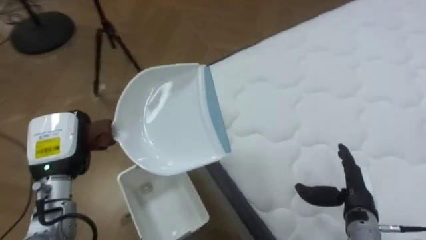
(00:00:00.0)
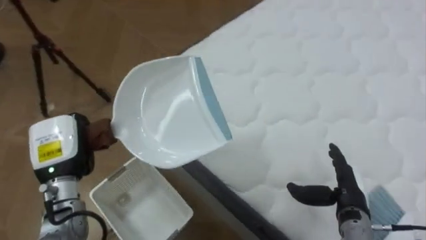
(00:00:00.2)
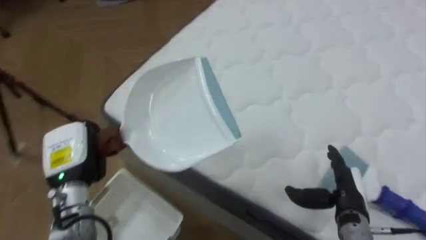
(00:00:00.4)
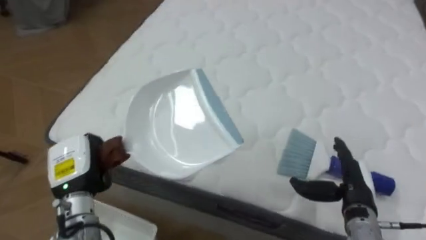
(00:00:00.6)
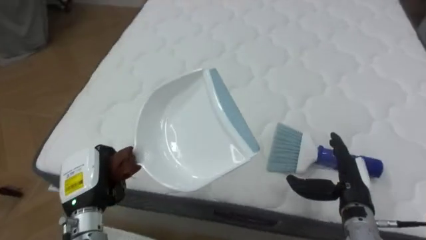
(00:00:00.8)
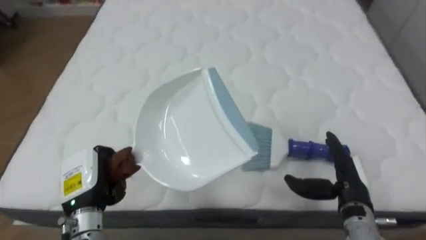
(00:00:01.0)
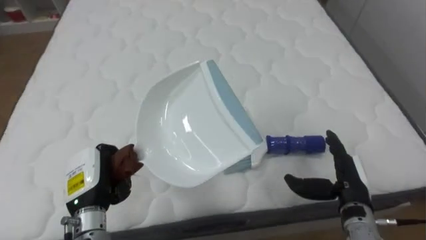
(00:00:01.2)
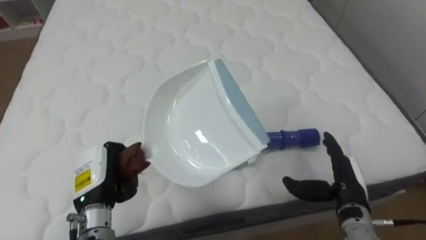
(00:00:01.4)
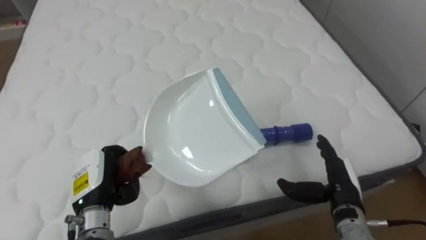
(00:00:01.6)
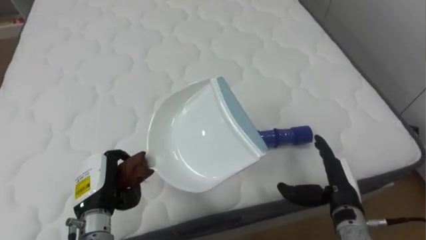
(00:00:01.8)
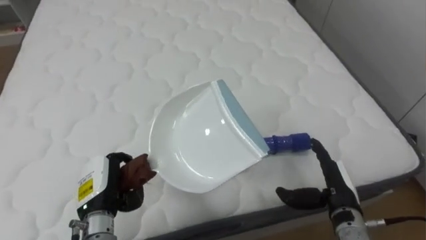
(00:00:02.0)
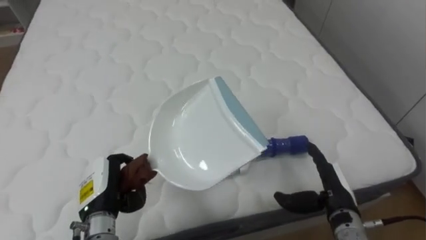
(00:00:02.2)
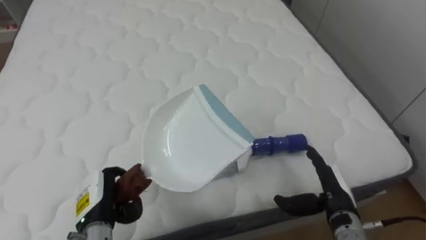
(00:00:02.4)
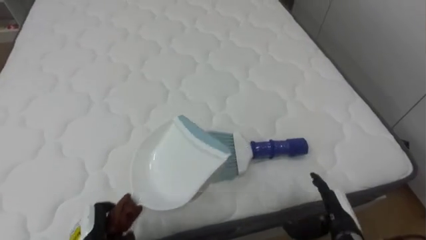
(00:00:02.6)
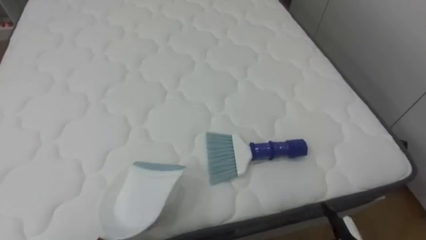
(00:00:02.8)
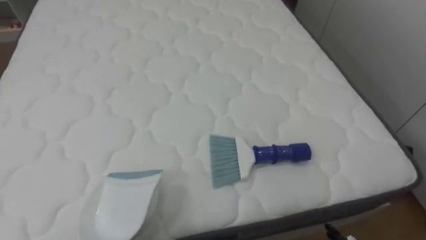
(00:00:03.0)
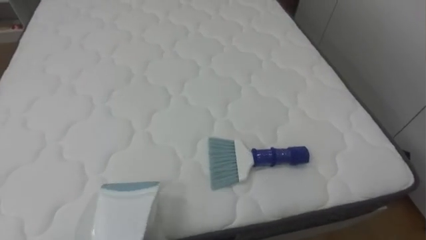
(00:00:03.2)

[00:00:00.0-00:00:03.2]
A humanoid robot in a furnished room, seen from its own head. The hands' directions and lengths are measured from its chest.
Task of the whole recording: Pick up the brush on your right and the dustpan on your left. Use the brush to sweep the crumpled paper on the bed into the dustpan, then turn left and empty it into the basket.
00:00:00.0 to 00:00:01.6: The robot faces approximately 65 degrees further to its right. The left hand moves downward, about 5 cm.
